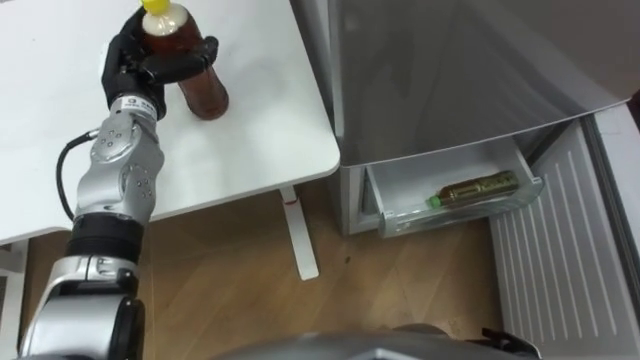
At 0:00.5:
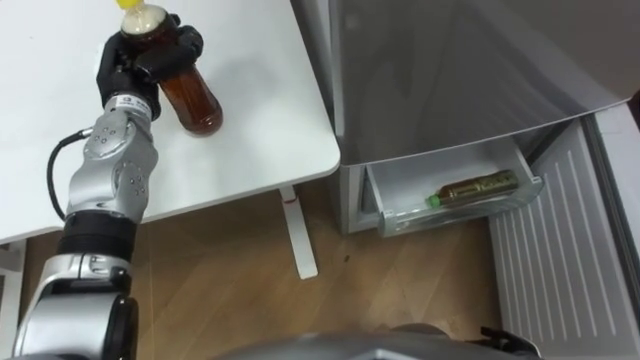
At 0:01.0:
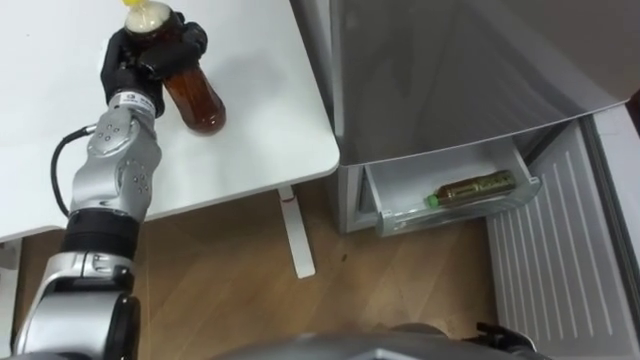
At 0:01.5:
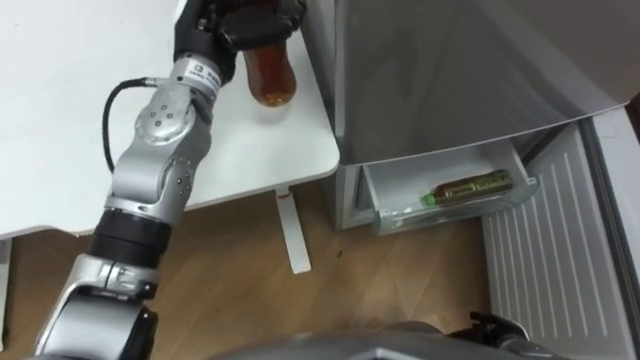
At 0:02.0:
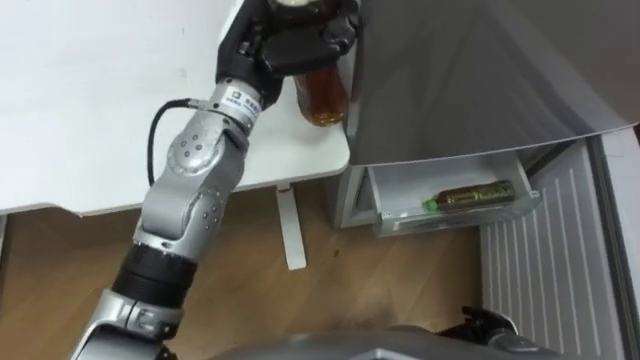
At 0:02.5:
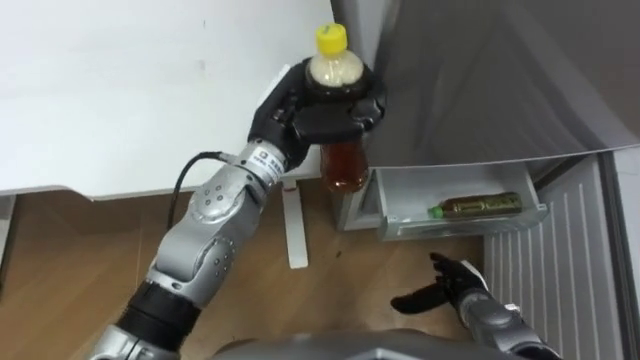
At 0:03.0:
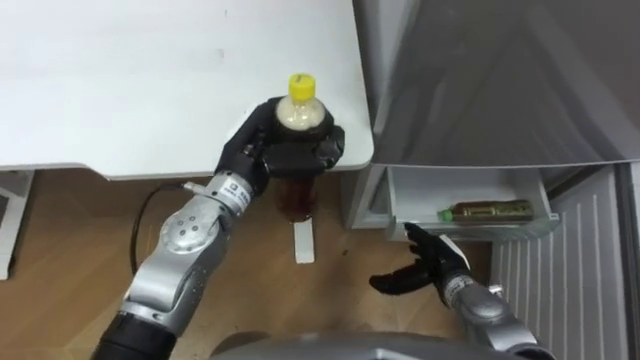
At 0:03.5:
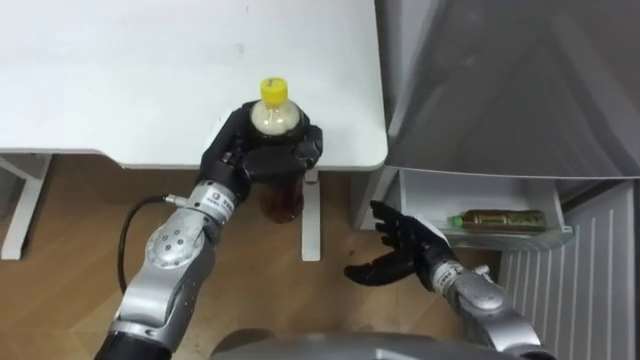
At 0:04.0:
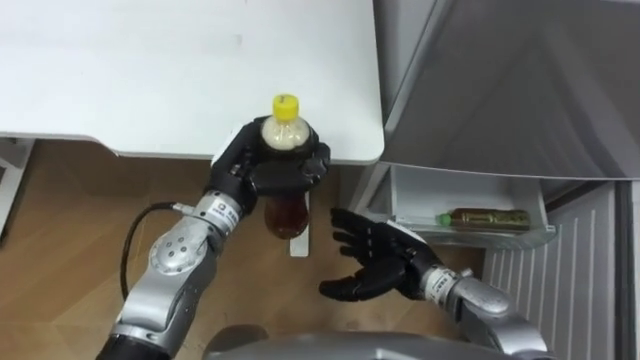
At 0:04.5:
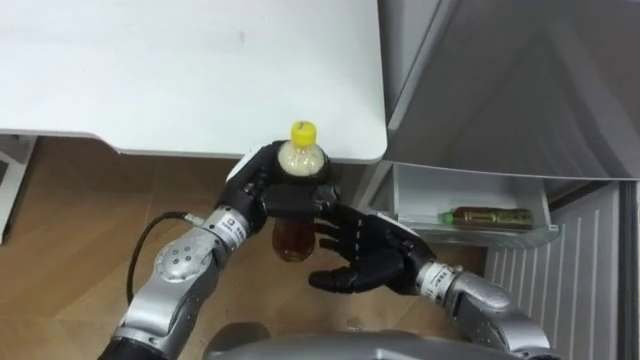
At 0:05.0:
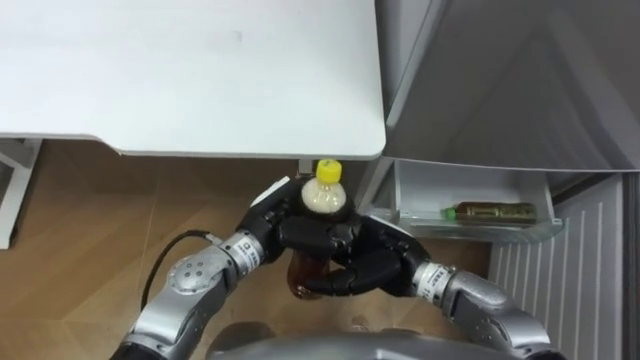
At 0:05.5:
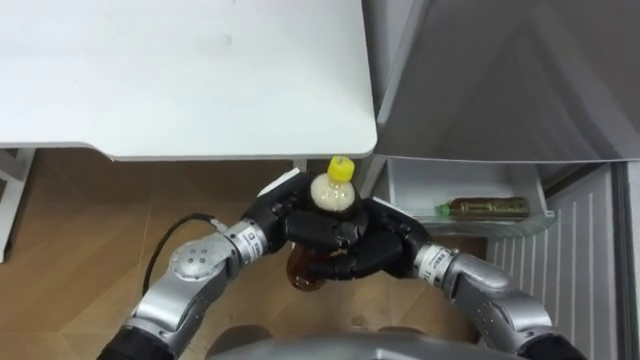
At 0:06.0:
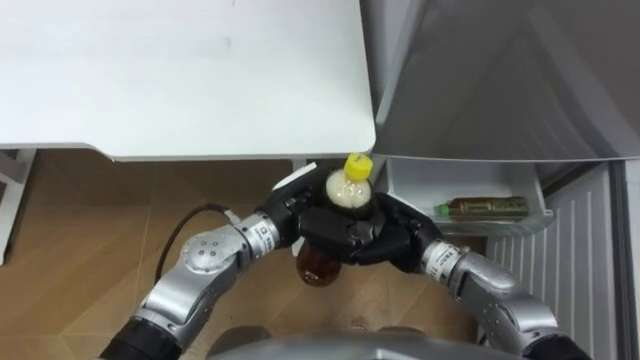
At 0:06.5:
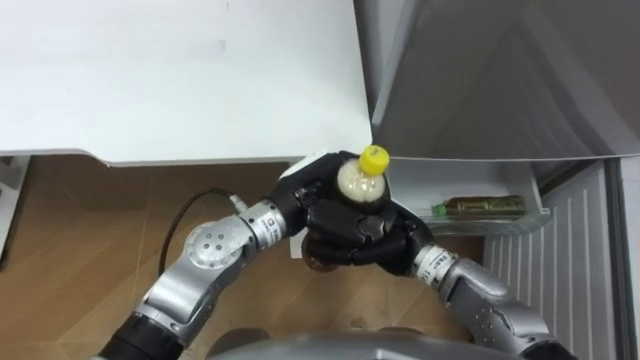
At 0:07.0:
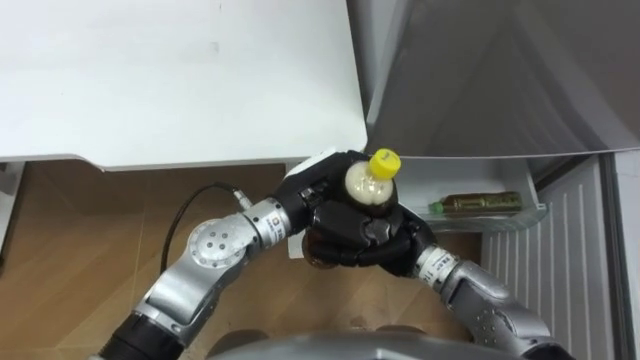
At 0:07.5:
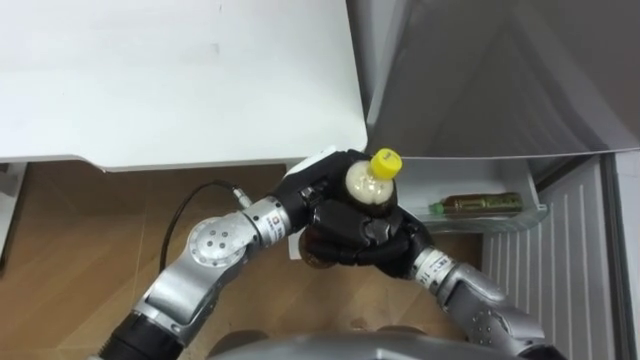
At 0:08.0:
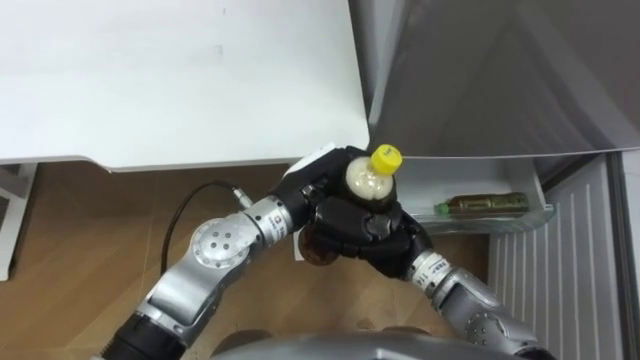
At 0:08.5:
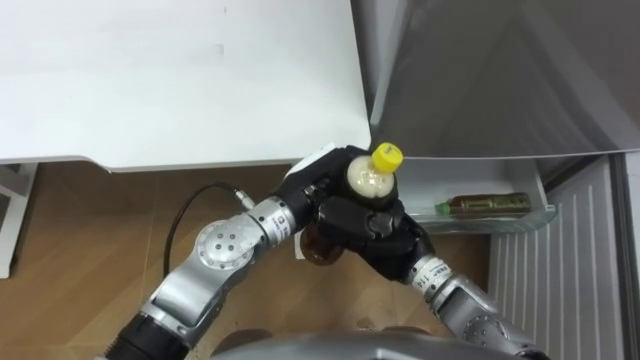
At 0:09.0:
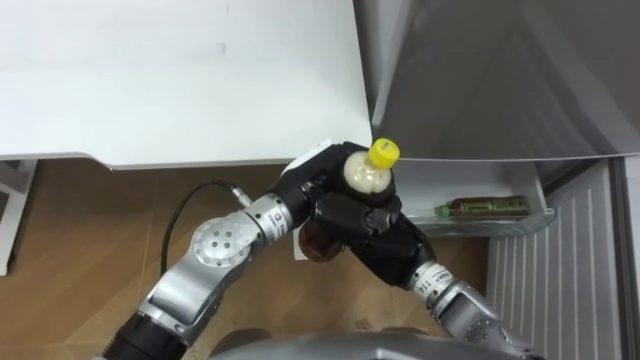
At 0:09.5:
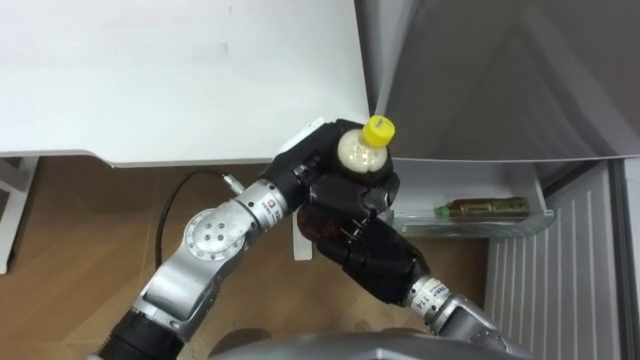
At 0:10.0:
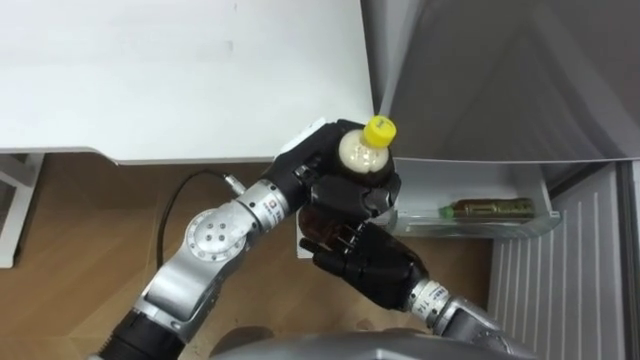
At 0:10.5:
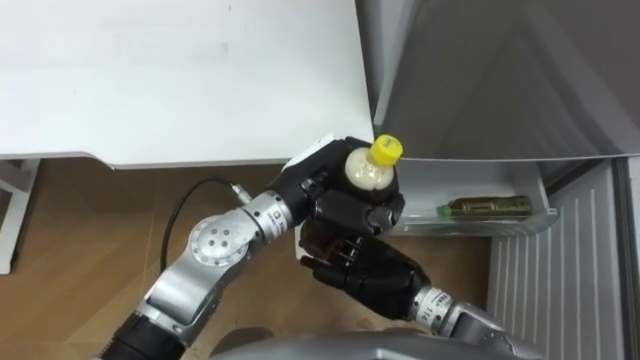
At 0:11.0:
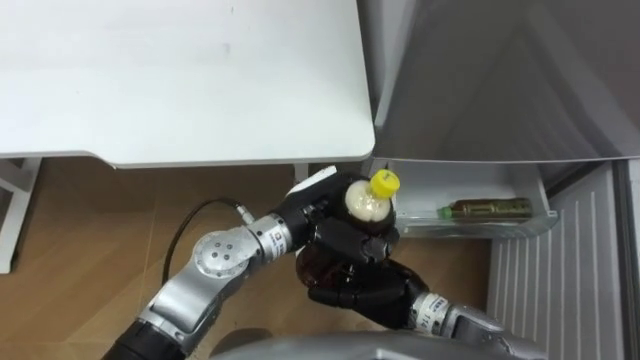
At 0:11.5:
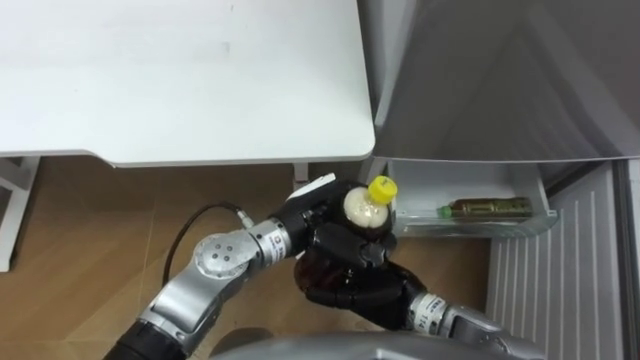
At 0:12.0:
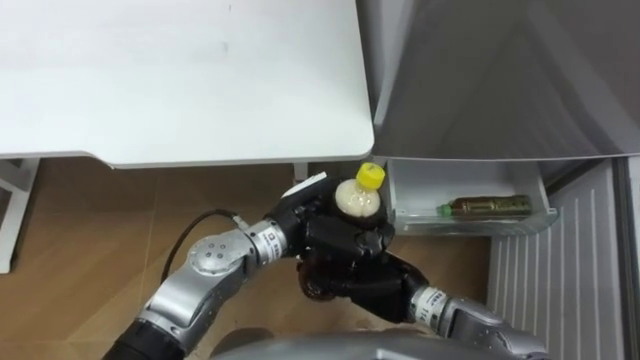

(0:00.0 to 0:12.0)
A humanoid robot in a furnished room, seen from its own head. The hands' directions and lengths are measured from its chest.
Task of the whole recording: Place the drink on the table on the bottom shelf of the refrigerator, then close the drawer and the refrigerator door.
0:00.0 - 0:02.0: The left hand goes approximately 20 cm to the right and upward, and closes its fingers.
0:02.0 - 0:04.0: The right hand heads to the left, upward and forward, covering approximately 20 cm. Meanwhile the left hand moves downward and backward, roughly 15 cm.
0:04.0 - 0:06.0: The left hand goes roughly 5 cm to the right; the right hand closes its fingers.
0:06.0 - 0:08.0: The right hand opens up.
0:10.0 - 0:12.0: The left hand is displaced downward by roughly 5 cm. Meanwhile the right hand closes.

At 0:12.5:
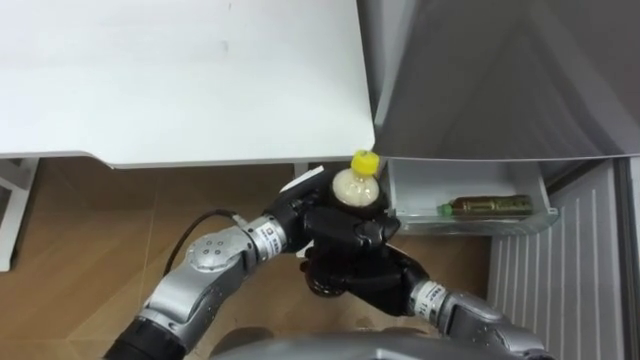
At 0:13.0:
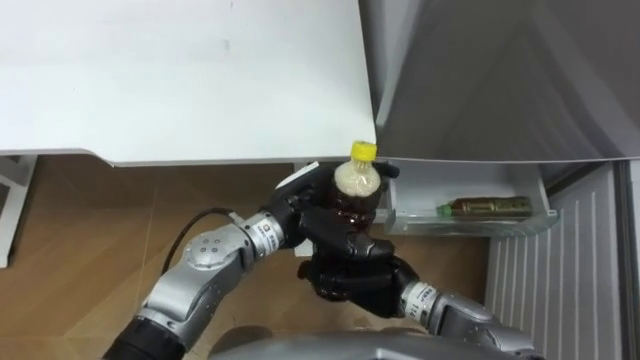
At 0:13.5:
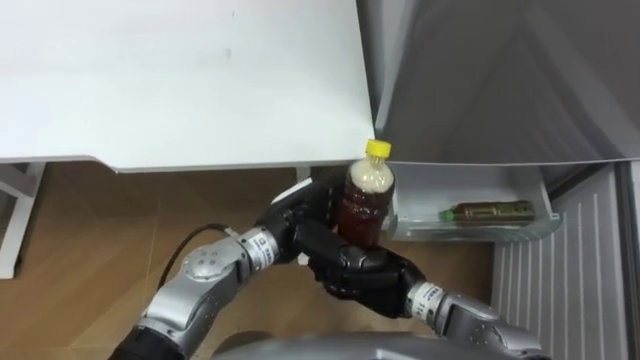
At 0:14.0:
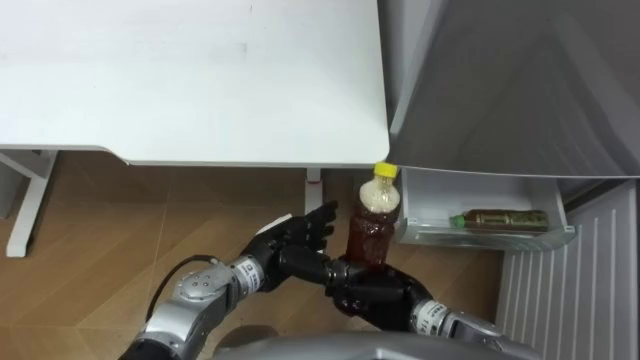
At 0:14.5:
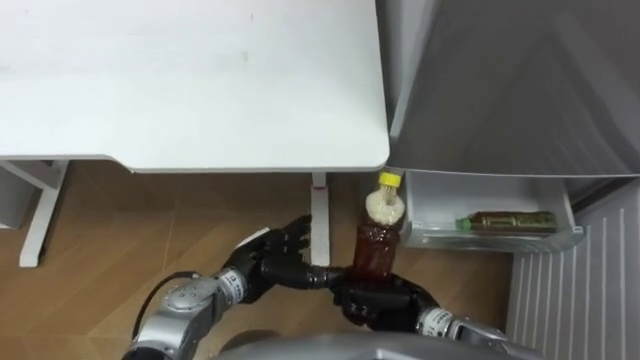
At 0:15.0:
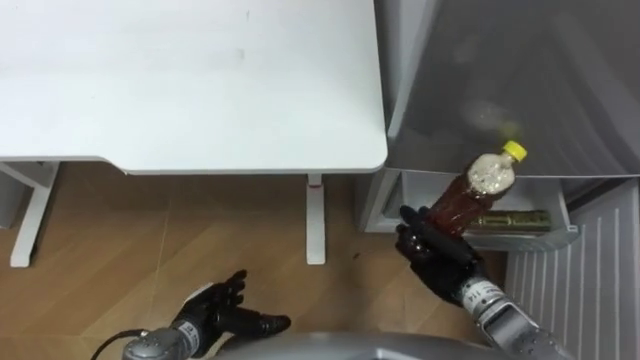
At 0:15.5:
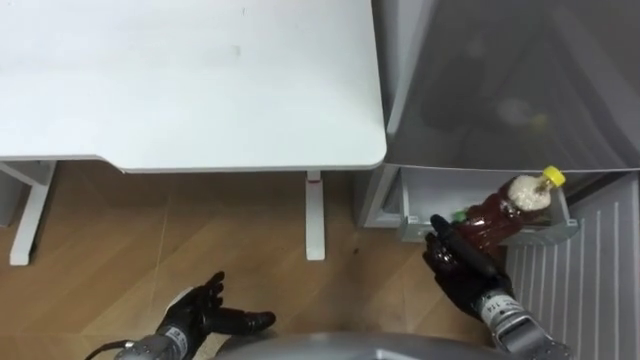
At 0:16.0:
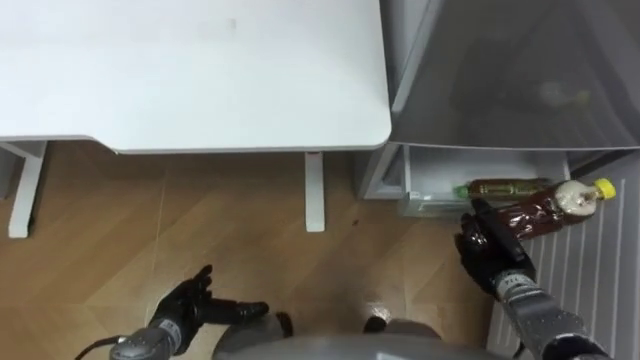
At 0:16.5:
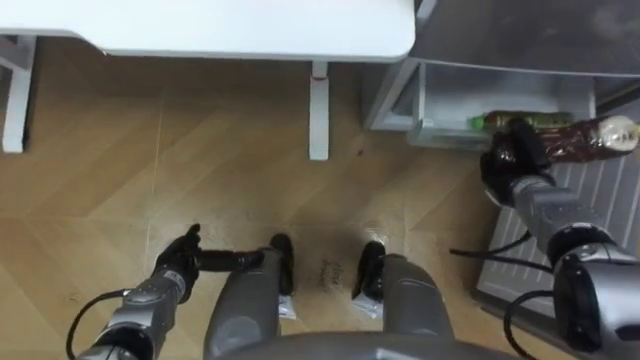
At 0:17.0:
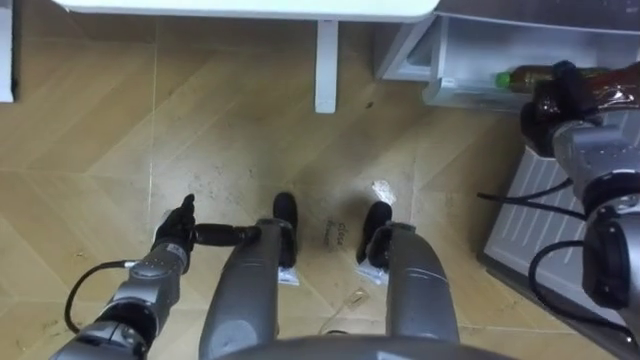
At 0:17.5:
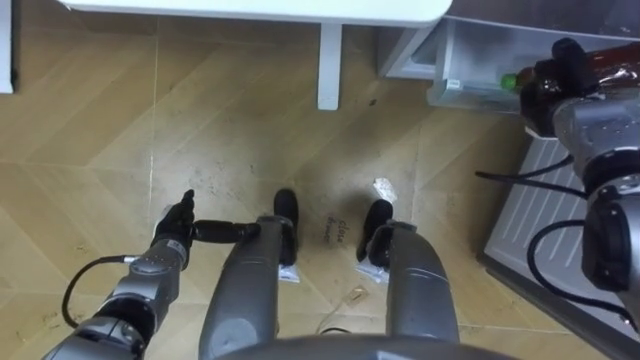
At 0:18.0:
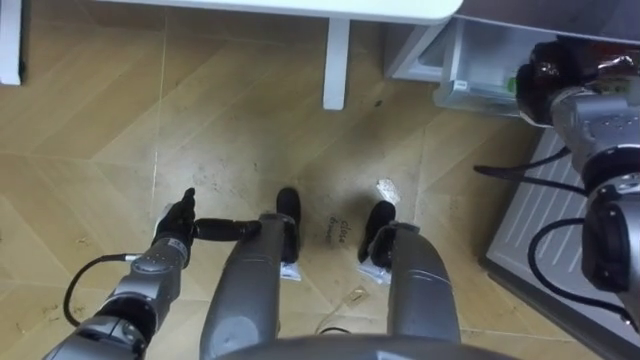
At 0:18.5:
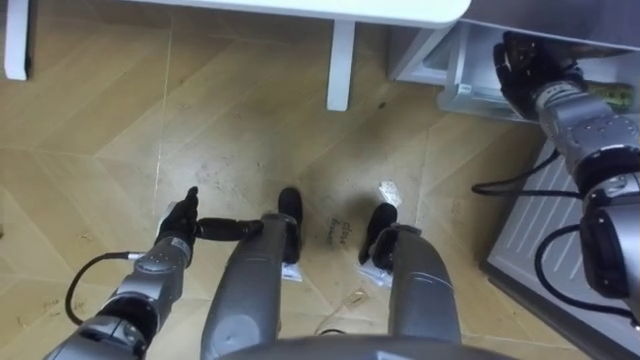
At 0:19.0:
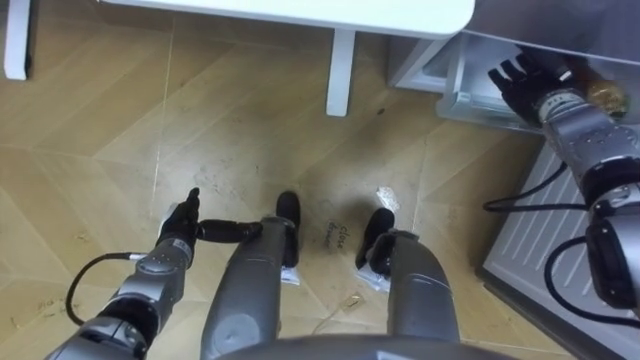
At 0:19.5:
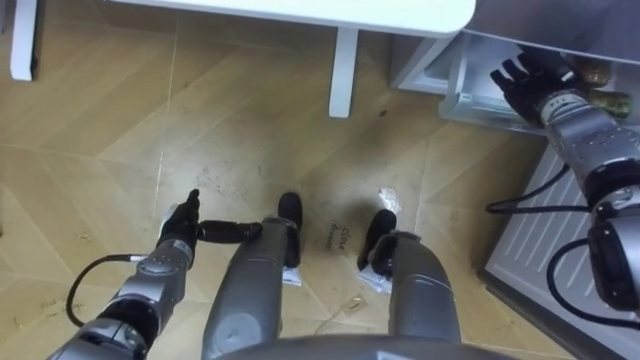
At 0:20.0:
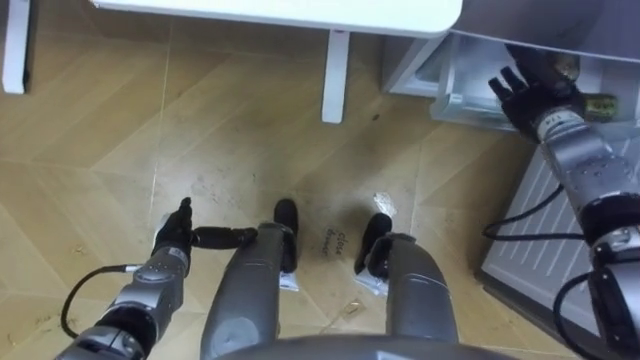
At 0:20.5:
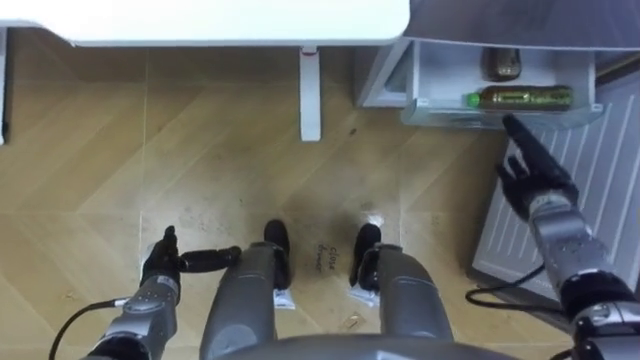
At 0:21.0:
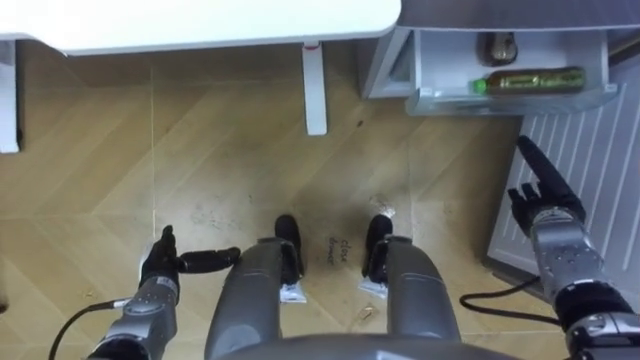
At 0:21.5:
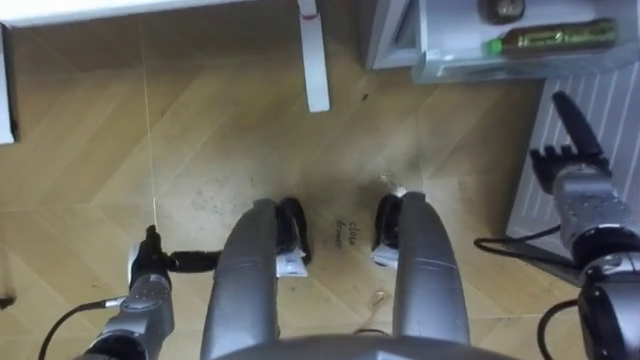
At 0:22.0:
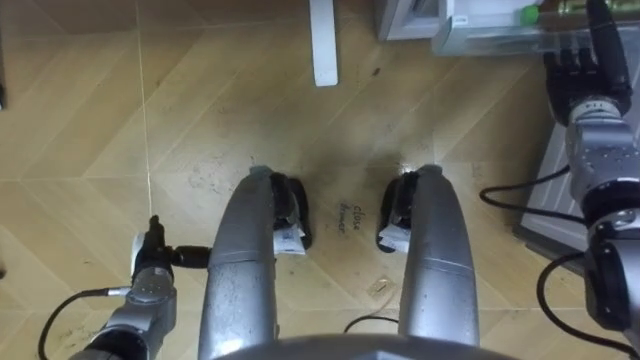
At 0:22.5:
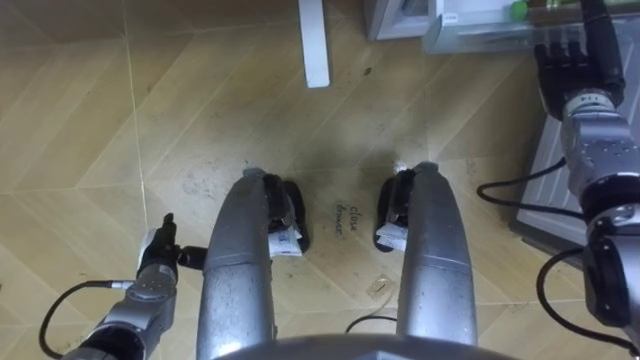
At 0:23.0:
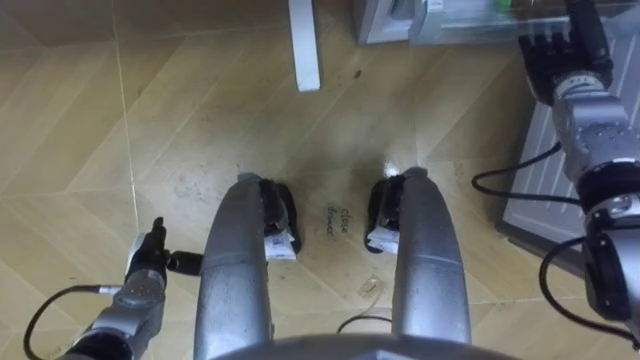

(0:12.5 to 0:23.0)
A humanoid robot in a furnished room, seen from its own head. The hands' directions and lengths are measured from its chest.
Task of the whole recording: Place the drink on the table on the bottom shelf of the refrigerator, then close the drawer and the refrigerator door.
0:12.5 - 0:14.5: The left hand goes about 15 cm downward and to the left, and opens its fingers; the right hand ends up about 5 cm from where it was.
0:14.5 - 0:16.5: The right hand shifts approximately 25 cm to the right and forward. Meanwhile the left hand travels to the left by approximately 15 cm.
0:16.5 - 0:19.0: The left hand travels forward by about 5 cm. Meanwhile the right hand moves upward and forward, approximately 15 cm, and opens its fingers.
0:19.0 - 0:21.0: The left hand is displaced backward by approximately 5 cm. Meanwhile the right hand is displaced backward and downward by about 20 cm.
0:21.0 - 0:23.0: The right hand travels forward and upward by some 20 cm.
